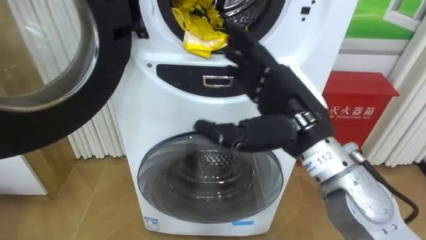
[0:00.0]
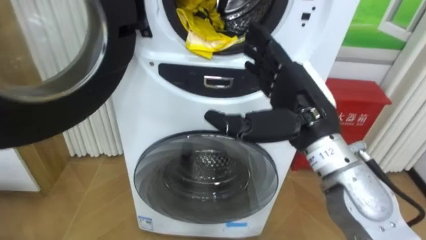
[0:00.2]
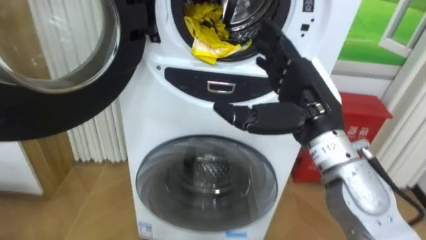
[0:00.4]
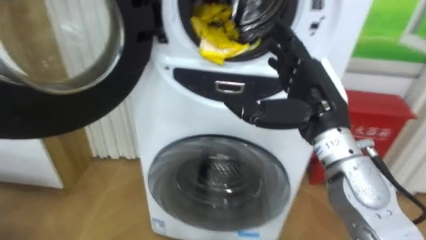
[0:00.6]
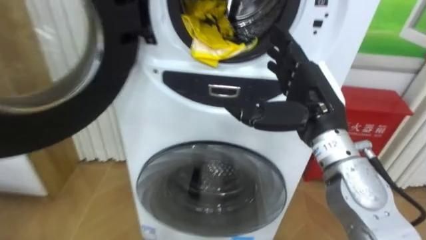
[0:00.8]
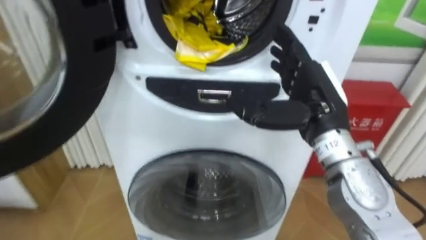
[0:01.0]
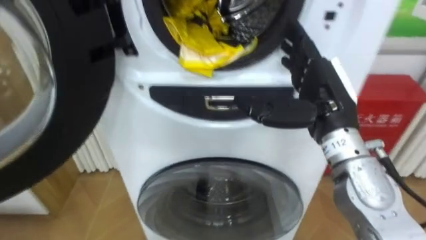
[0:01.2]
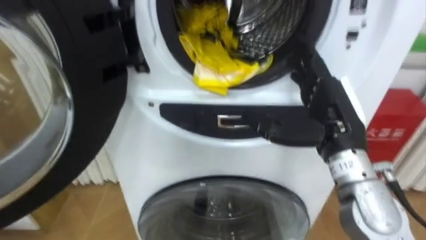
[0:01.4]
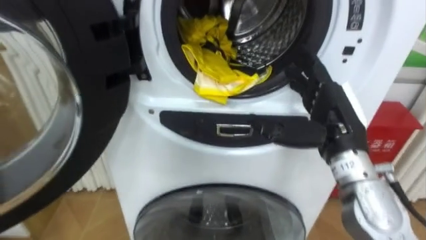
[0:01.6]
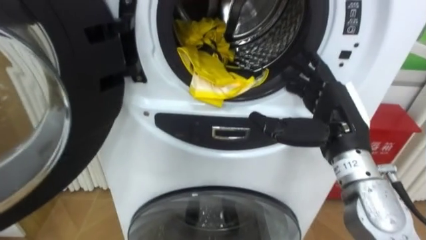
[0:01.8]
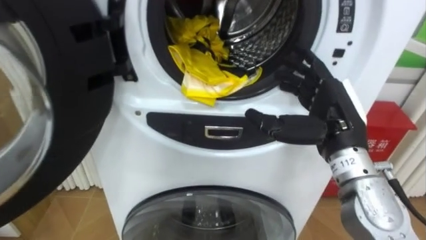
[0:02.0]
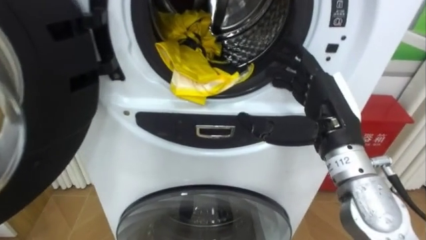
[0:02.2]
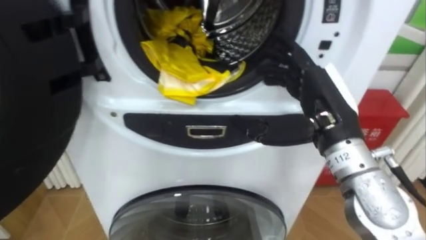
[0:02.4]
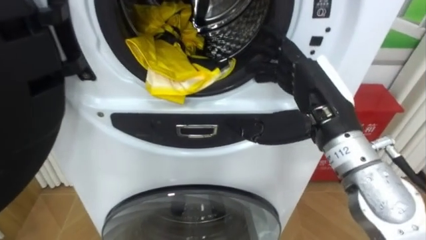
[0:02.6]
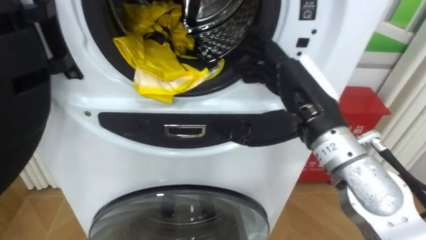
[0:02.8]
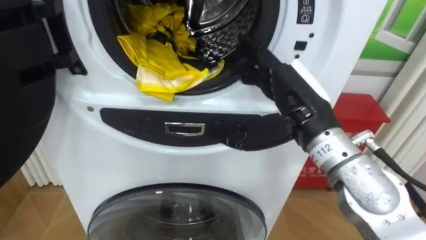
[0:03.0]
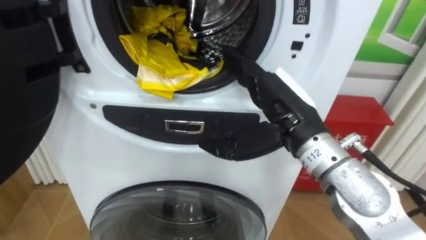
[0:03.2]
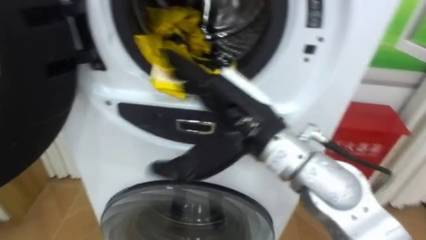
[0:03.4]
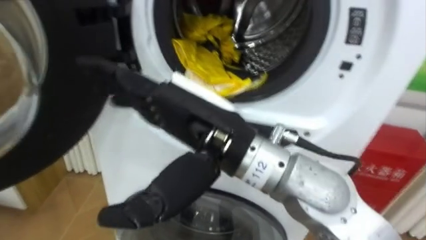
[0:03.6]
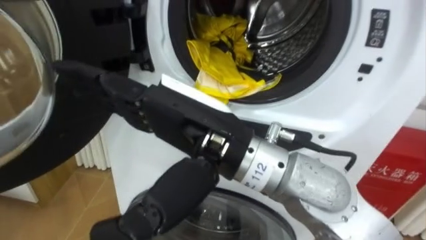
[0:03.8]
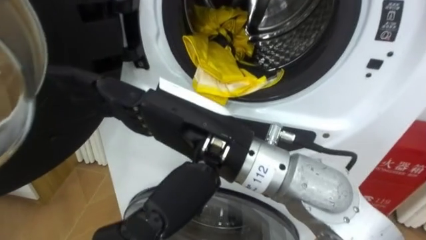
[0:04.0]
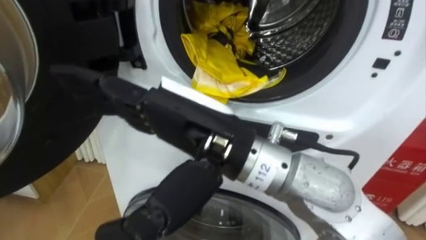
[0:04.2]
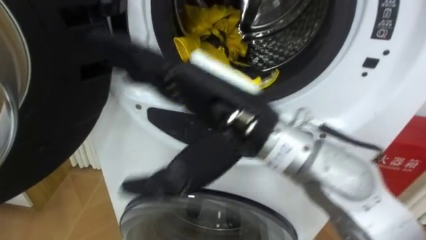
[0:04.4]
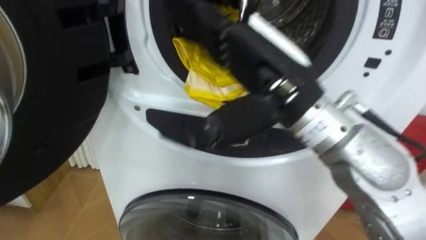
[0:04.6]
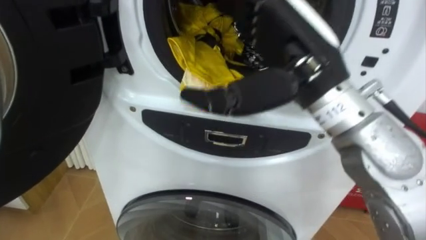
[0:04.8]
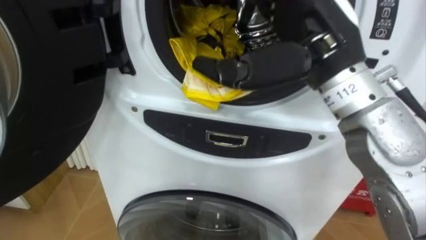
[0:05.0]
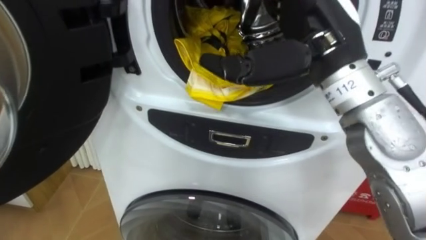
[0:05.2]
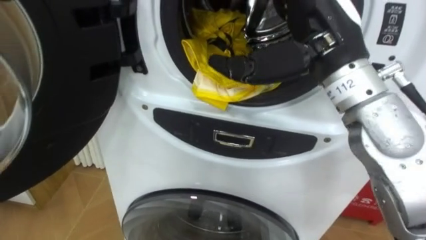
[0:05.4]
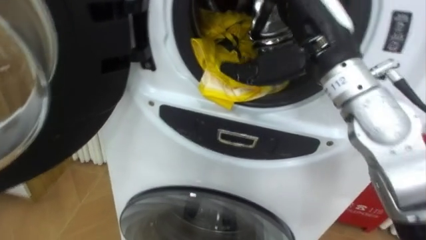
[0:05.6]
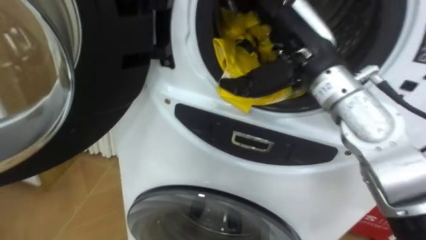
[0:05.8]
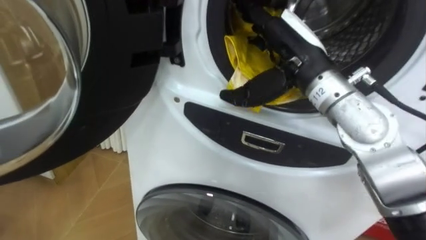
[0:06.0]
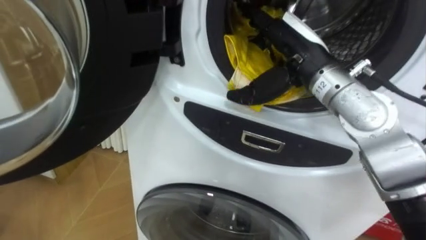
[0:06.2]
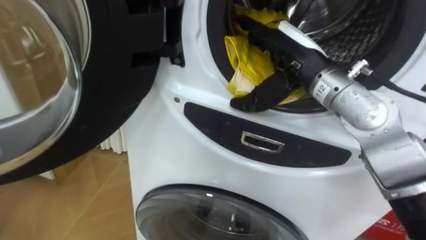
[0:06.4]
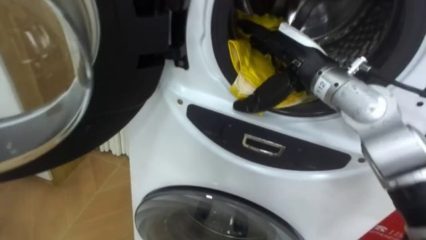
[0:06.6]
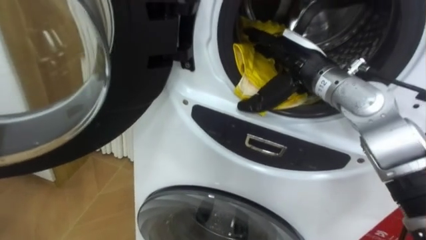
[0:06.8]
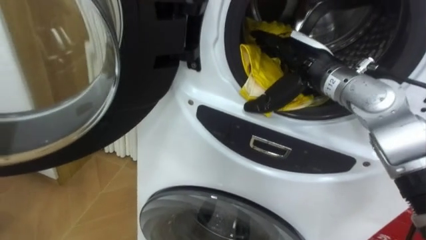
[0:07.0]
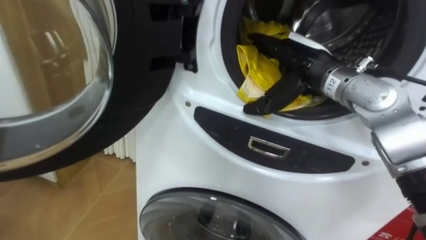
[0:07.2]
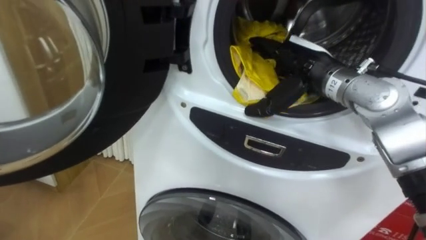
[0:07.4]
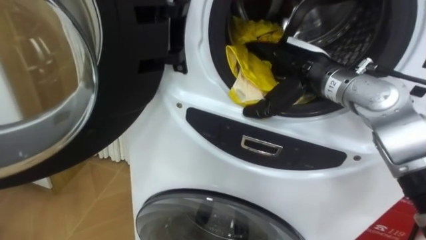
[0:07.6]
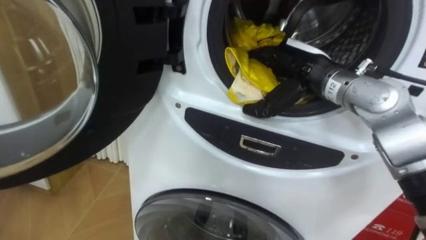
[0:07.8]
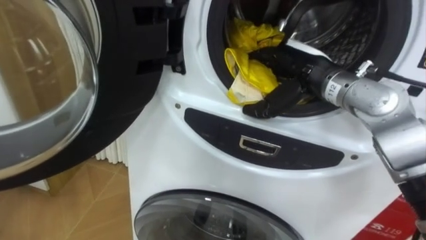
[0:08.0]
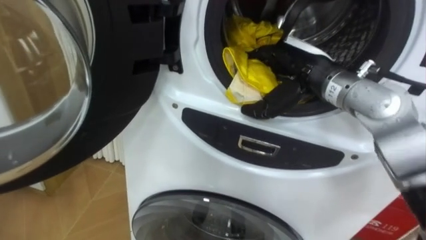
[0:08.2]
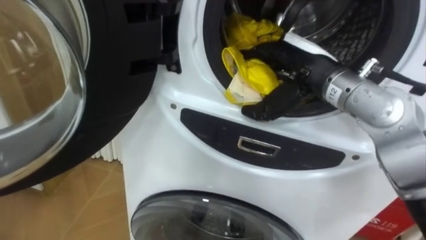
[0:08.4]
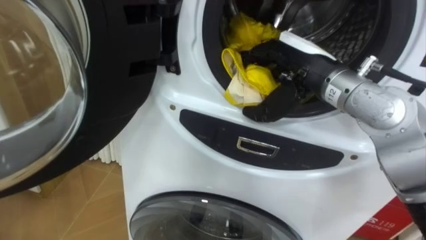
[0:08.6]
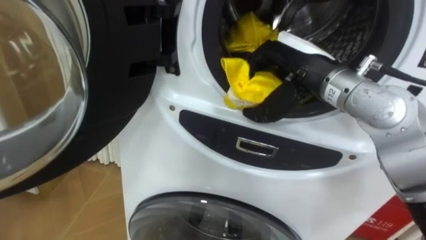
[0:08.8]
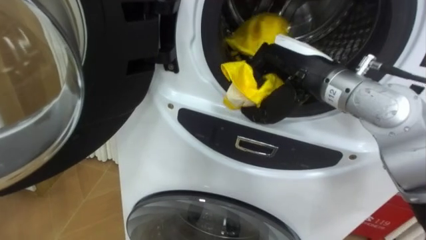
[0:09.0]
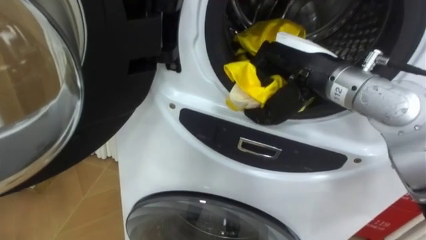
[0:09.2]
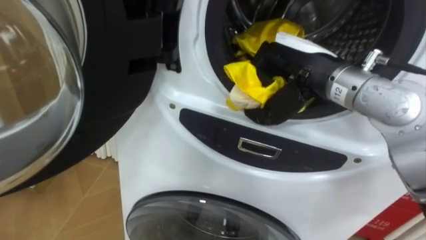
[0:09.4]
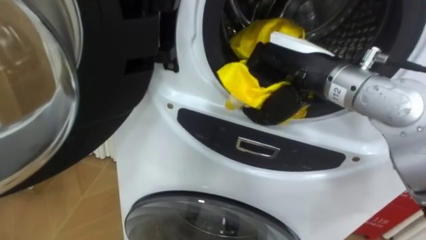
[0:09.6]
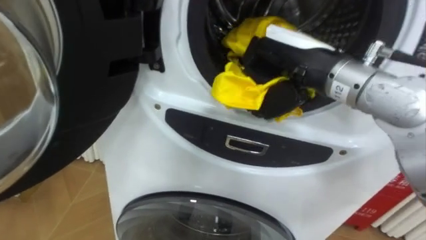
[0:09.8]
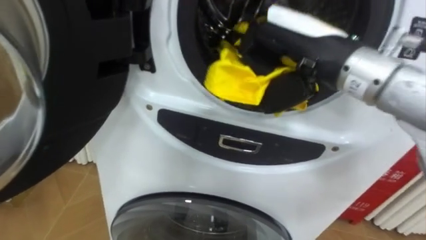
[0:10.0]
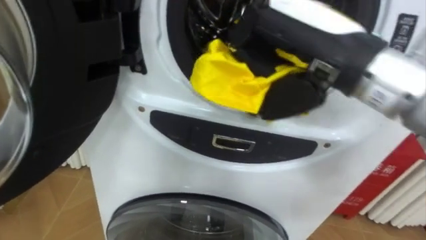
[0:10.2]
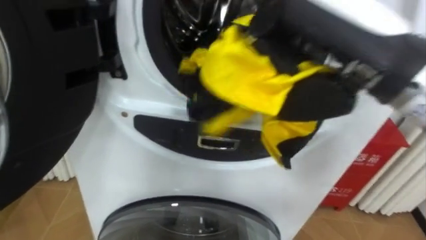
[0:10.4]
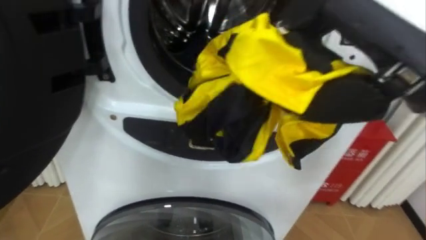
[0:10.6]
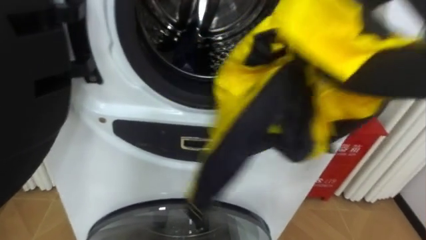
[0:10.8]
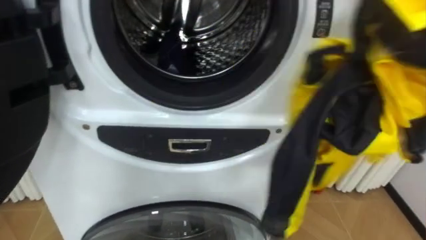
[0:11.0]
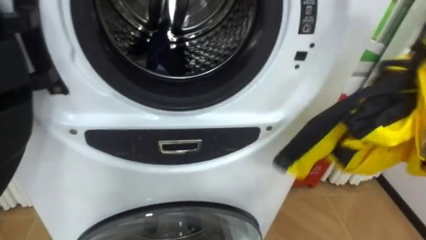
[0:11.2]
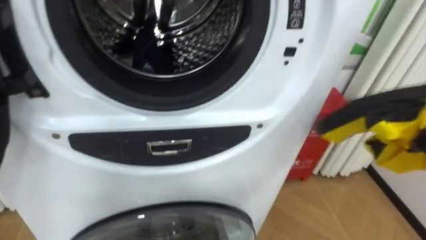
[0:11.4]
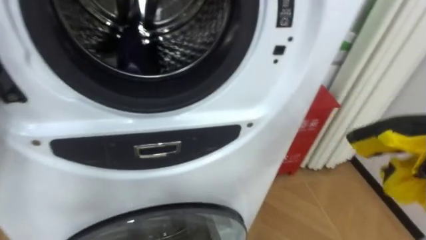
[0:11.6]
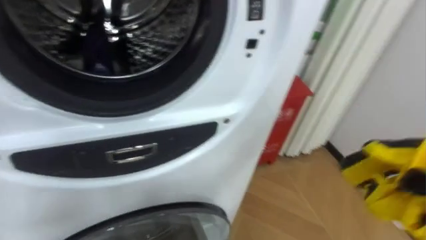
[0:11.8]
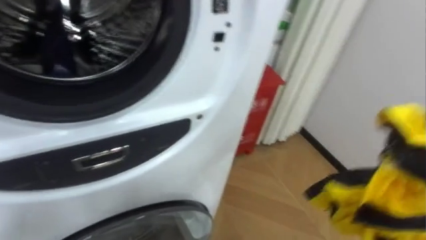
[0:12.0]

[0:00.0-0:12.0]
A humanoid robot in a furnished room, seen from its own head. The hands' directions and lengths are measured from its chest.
Task of the whole recording: Open the washing machine door, take out the yellow clothes, place them in the box on the right, and close the washing machine door.
0:00.0 to 0:01.6: The right hand heads to the right, covering approximately 10 cm.
0:01.6 to 0:03.0: The right hand is displaced to the left by roughly 5 cm.
0:03.0 to 0:04.4: The right hand is displaced to the left, backward and upward by some 15 cm.
0:04.4 to 0:06.0: The right hand moves forward and to the right, some 15 cm.
0:06.0 to 0:07.6: The right hand heads downward, covering some 5 cm.
0:07.6 to 0:09.0: The right hand ends up some 5 cm from where it was, and closes up.
0:09.0 to 0:10.4: The right hand goes roughly 15 cm backward and upward.

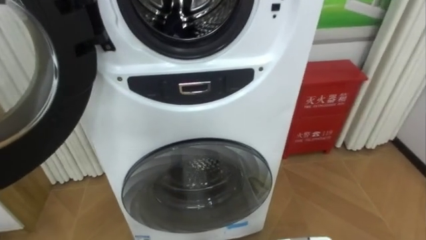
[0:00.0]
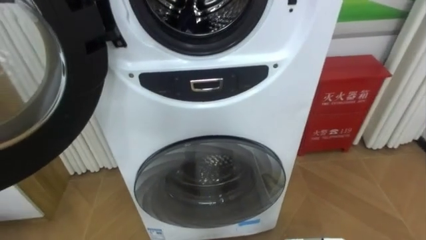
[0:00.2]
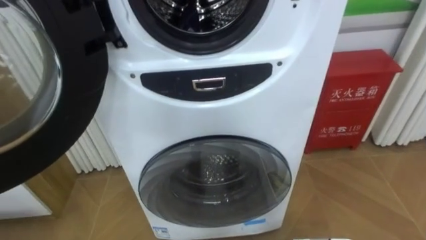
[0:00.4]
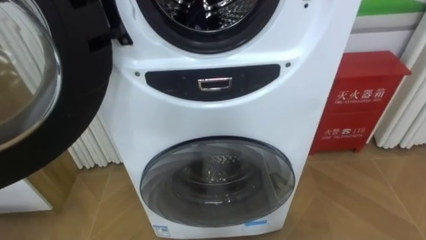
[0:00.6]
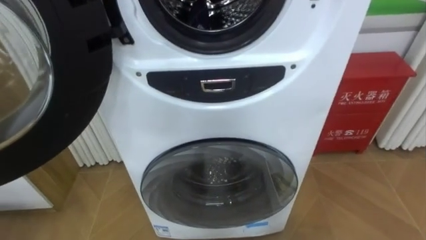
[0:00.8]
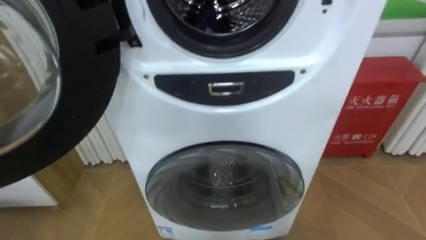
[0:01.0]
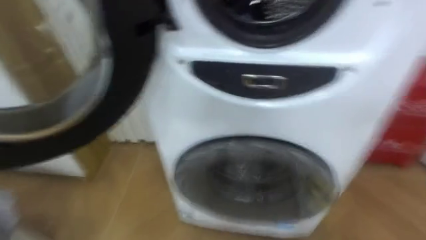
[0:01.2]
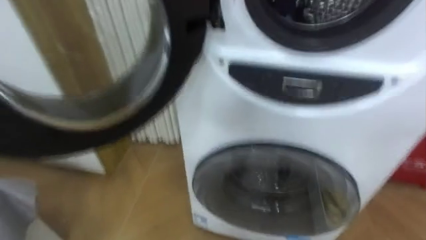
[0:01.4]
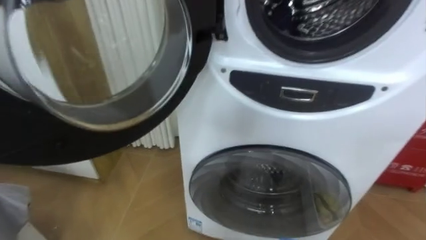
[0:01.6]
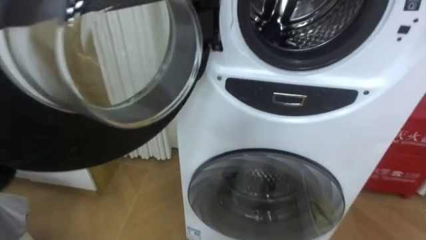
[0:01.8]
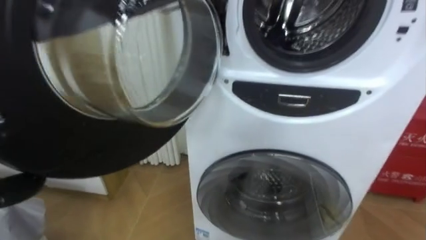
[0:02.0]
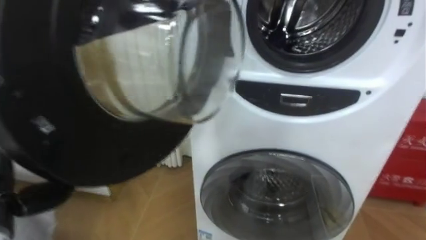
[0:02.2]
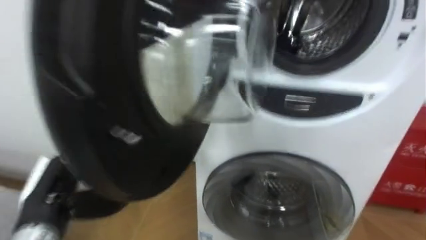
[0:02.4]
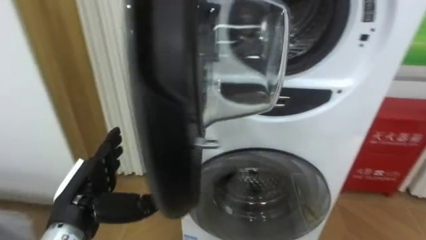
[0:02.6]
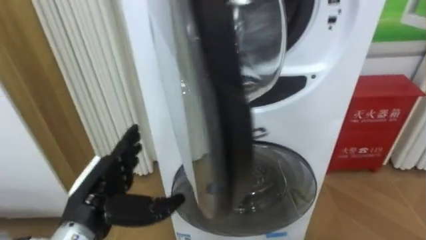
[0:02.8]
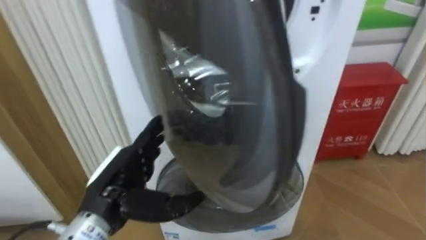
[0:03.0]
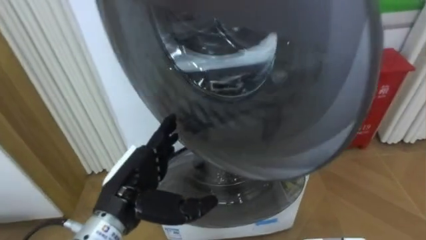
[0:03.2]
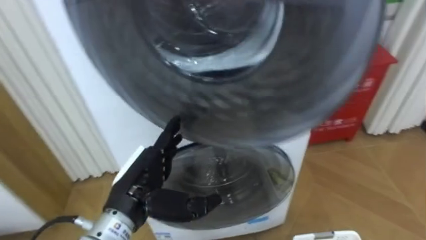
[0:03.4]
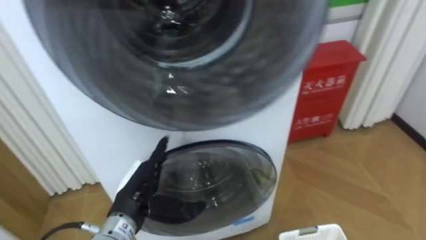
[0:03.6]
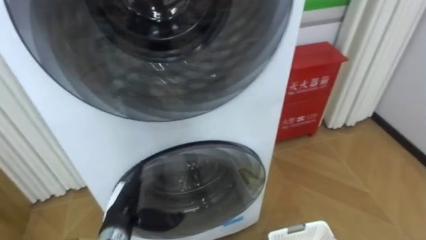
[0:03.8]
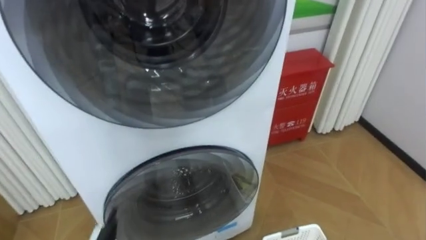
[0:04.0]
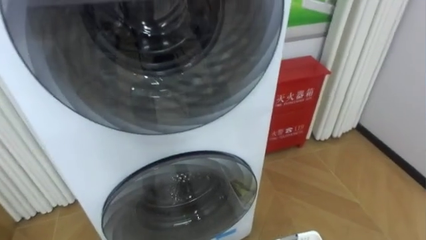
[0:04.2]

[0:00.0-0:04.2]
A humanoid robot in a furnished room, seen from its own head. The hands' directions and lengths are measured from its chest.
Task of the whole recording: Open the washing machine door, take out the yellow clothes, place them in the box on the right, and close the washing machine door.
0:00.0 to 0:01.4: The robot rotates about 20 degrees to its left.
